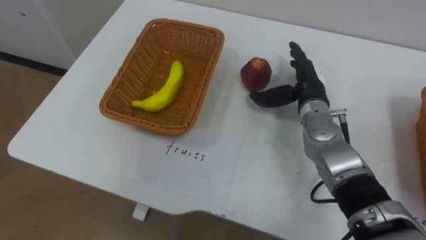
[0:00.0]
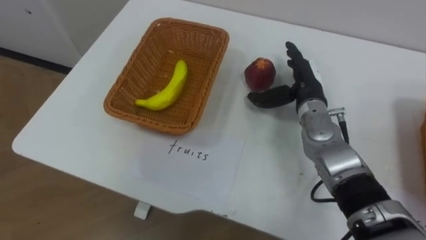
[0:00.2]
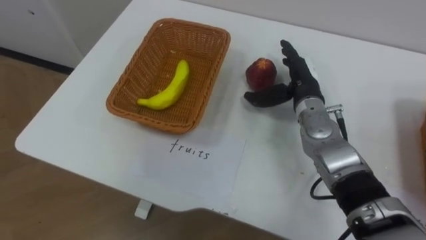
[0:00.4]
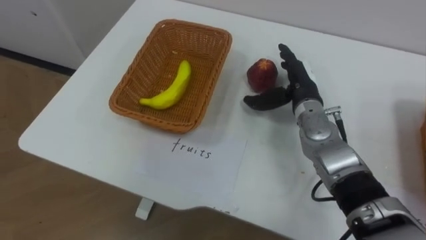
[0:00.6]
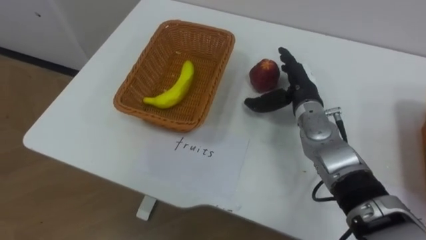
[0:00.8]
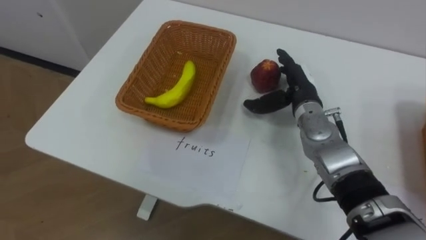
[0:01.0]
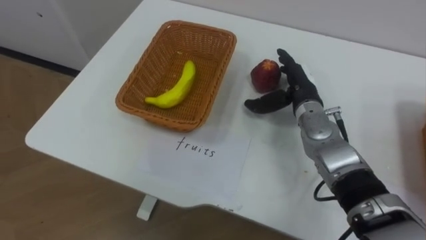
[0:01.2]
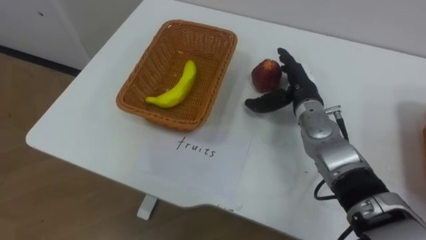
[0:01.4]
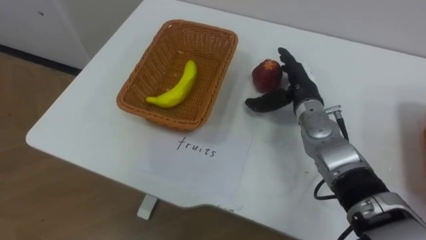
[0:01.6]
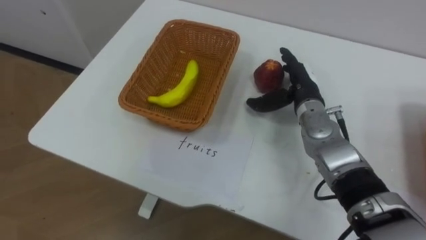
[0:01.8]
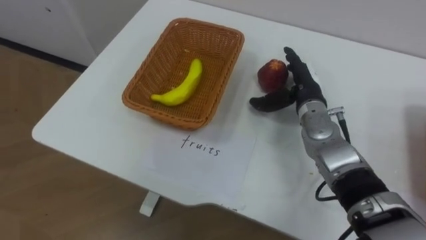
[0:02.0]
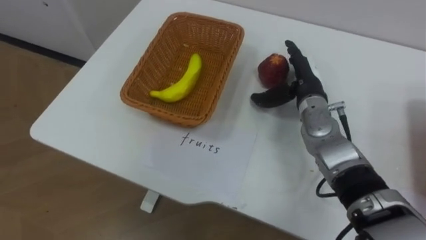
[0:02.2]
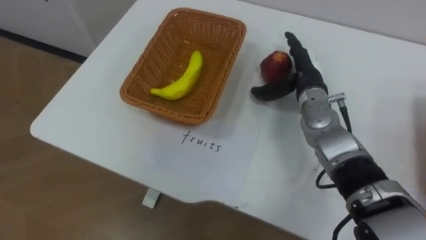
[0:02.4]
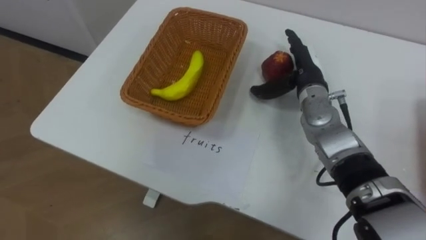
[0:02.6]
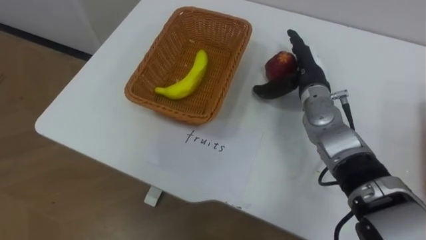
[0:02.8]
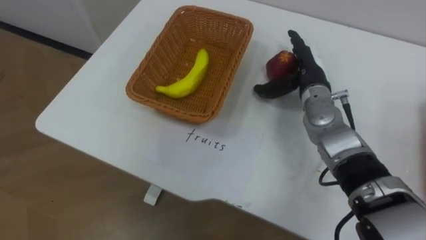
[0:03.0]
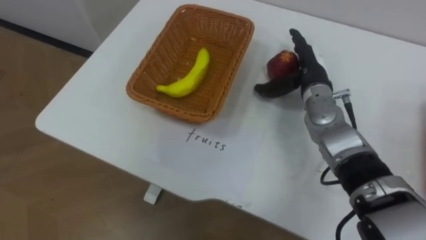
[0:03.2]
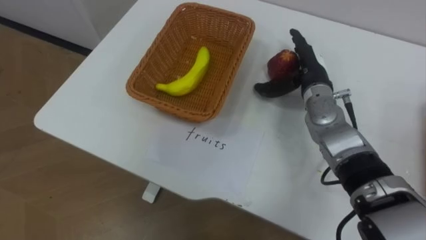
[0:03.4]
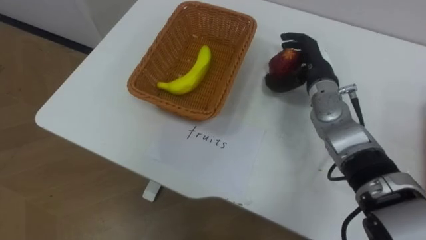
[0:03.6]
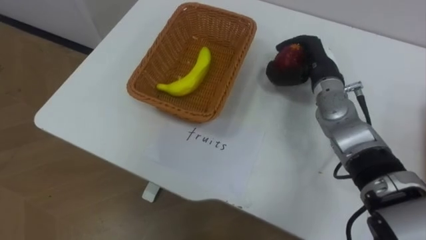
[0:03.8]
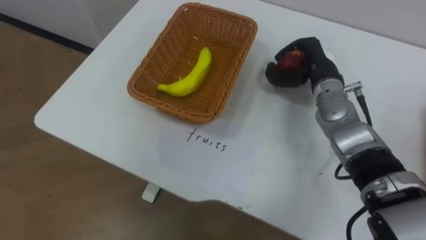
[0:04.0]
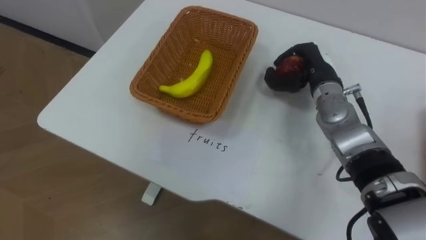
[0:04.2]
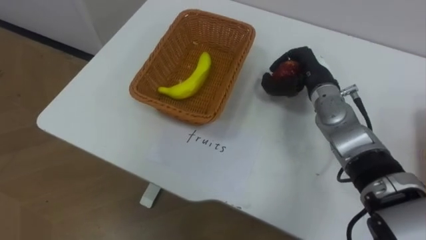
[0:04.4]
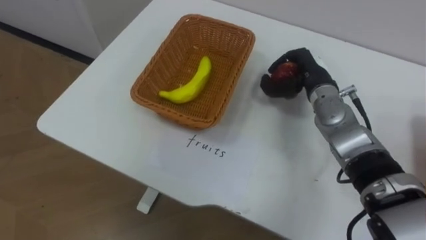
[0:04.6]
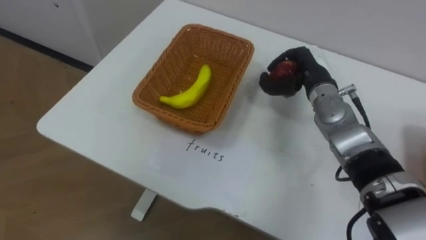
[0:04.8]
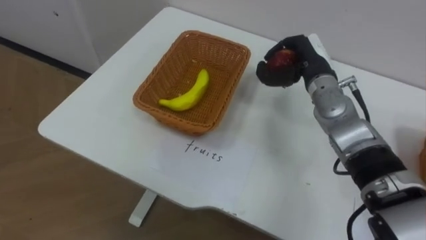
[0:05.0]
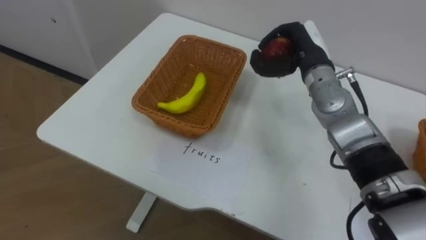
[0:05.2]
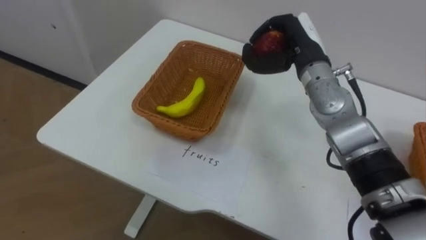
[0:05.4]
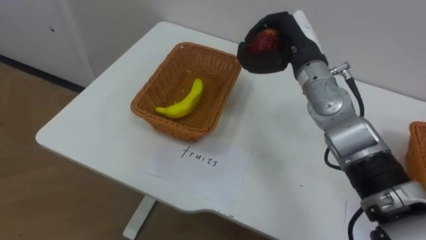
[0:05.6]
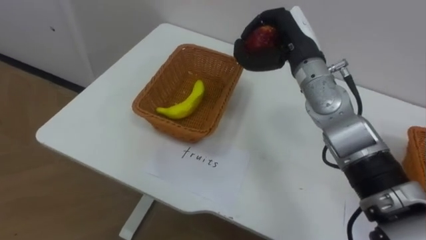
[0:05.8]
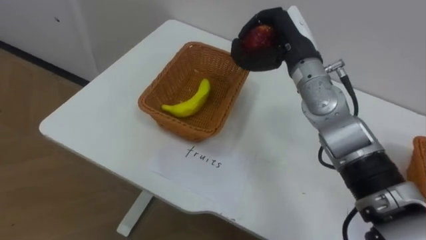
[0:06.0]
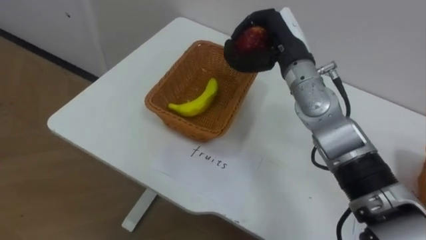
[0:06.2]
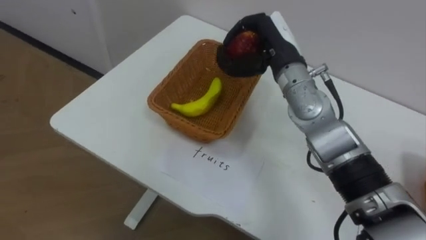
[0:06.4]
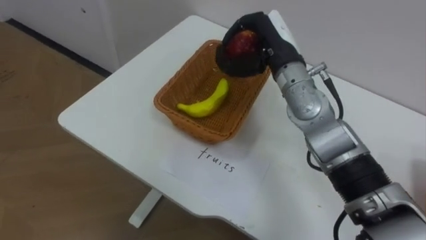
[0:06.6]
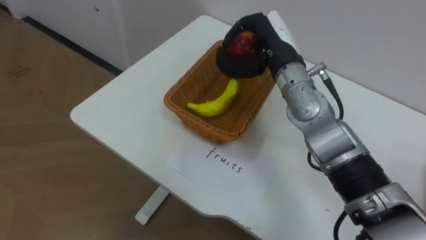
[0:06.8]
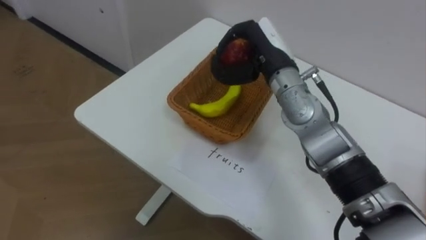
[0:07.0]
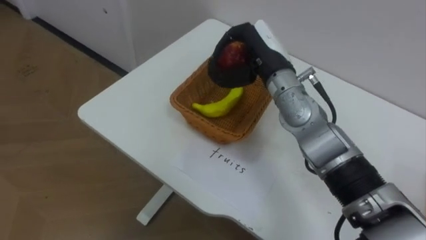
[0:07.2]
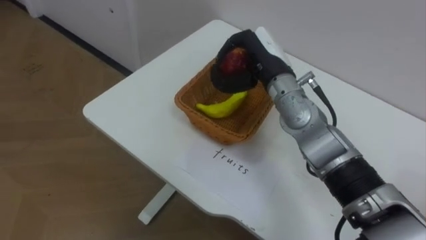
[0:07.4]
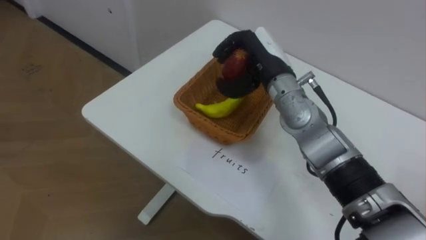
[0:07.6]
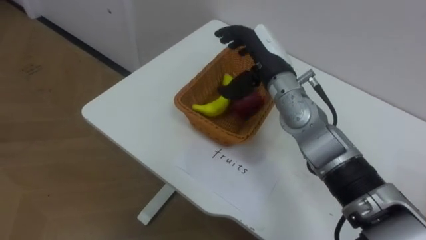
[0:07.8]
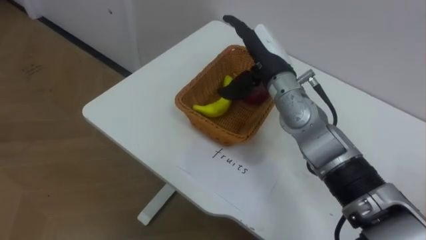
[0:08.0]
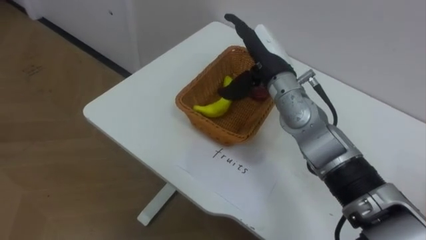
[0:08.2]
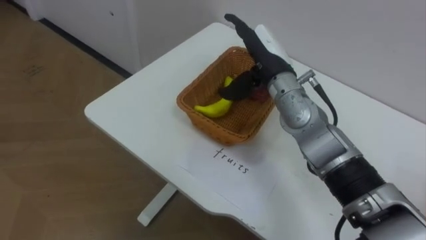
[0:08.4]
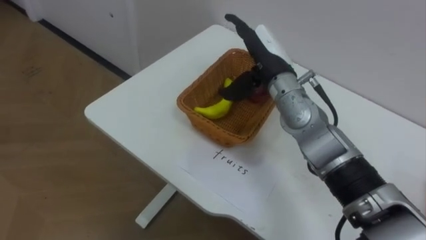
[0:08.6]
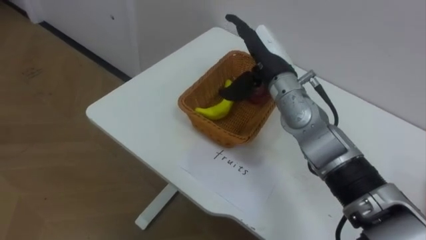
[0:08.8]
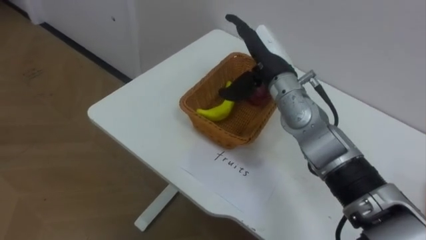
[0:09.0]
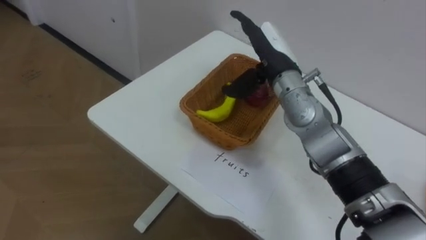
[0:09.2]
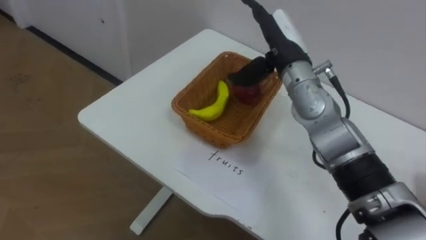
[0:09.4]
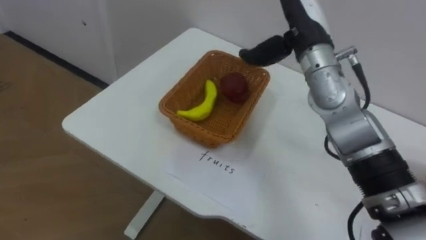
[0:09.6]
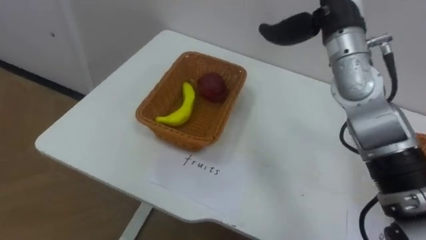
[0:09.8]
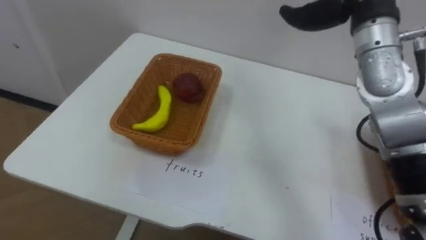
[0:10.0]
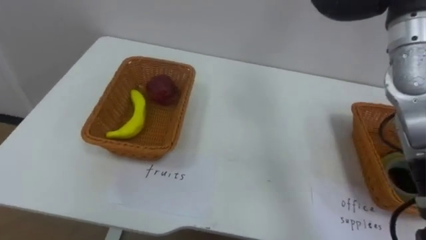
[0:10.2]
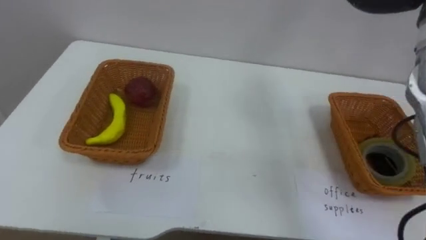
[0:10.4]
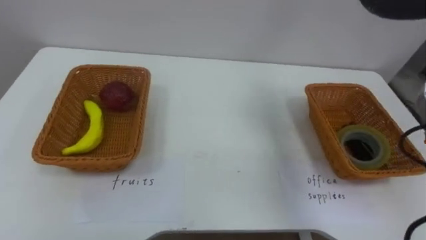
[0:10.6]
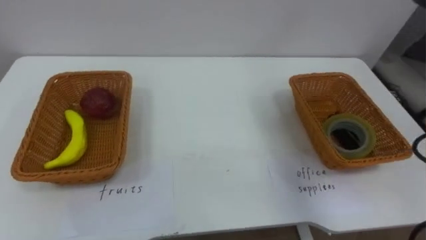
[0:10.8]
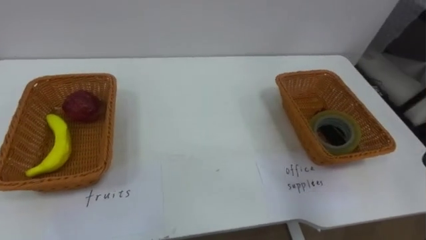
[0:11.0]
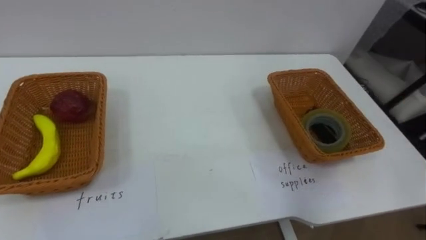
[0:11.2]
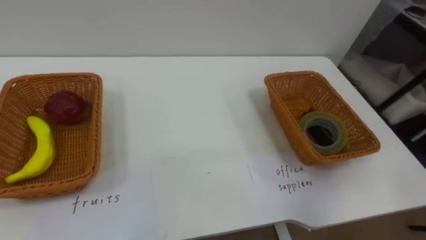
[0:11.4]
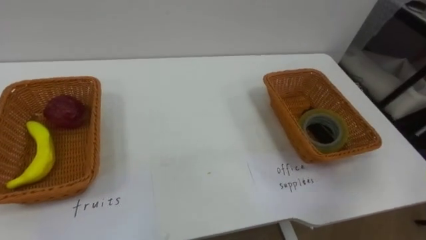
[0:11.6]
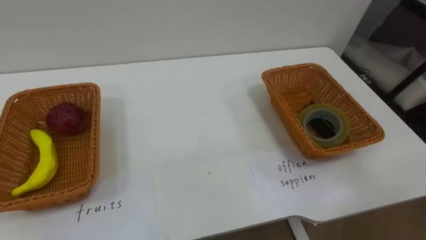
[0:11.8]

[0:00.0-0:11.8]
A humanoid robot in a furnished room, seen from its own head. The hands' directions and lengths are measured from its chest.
Task of the whole recording: Separate the items on the table and place them into the two baskets.
0:03.0 to 0:04.4: The right hand closes.
0:04.4 to 0:06.0: The right hand moves upward and to the left, approximately 10 cm.
0:06.0 to 0:07.4: The right hand changes place by about 5 cm.
0:07.4 to 0:08.8: The right hand opens up.

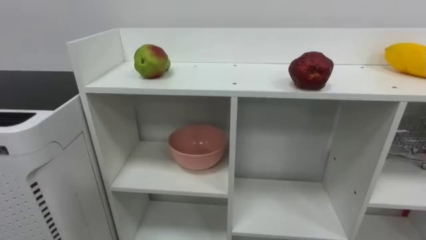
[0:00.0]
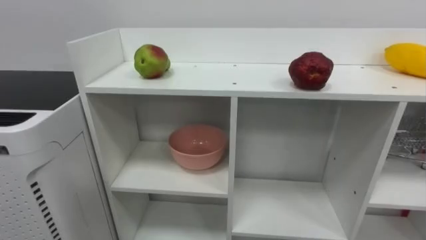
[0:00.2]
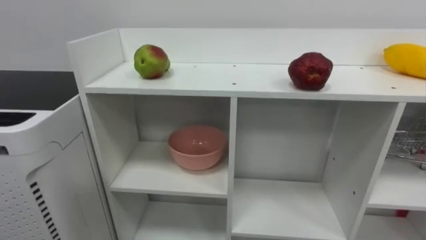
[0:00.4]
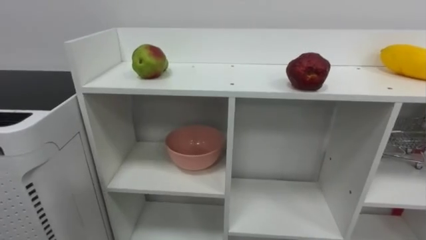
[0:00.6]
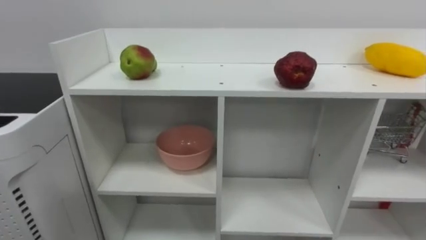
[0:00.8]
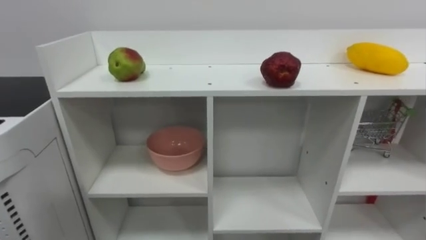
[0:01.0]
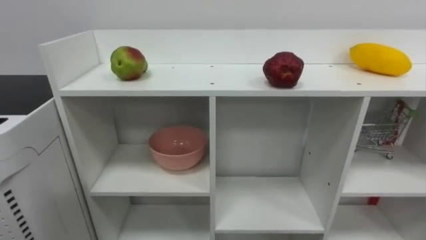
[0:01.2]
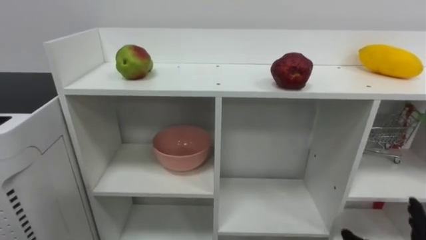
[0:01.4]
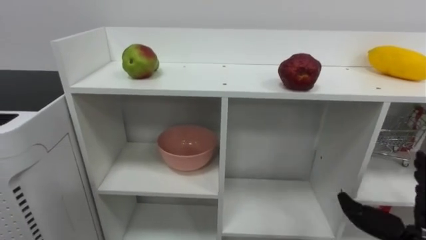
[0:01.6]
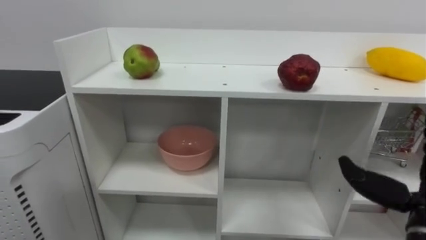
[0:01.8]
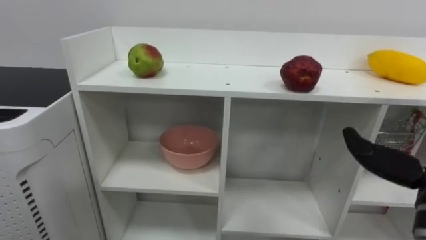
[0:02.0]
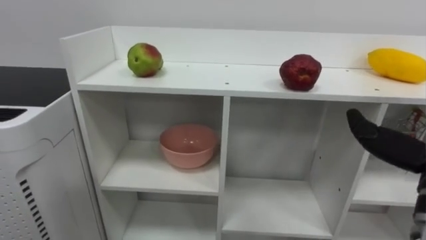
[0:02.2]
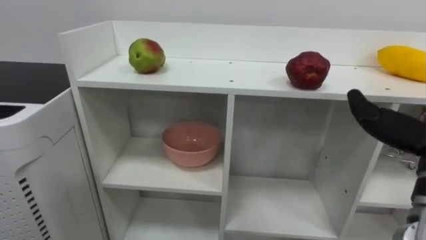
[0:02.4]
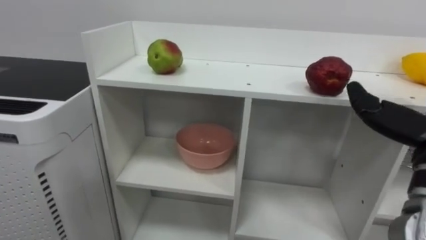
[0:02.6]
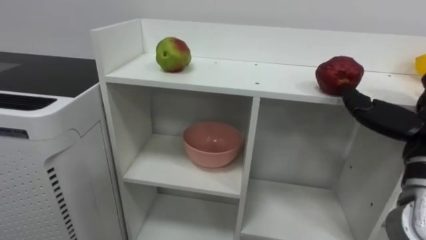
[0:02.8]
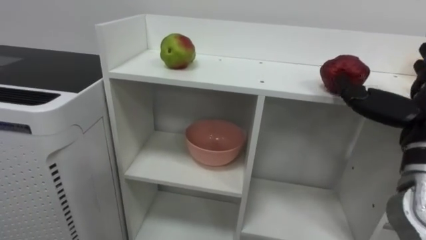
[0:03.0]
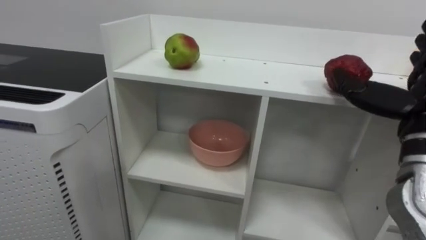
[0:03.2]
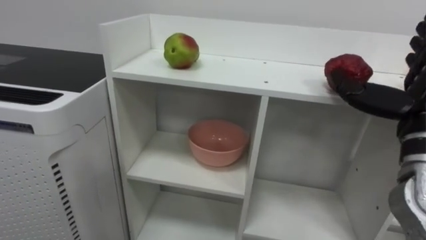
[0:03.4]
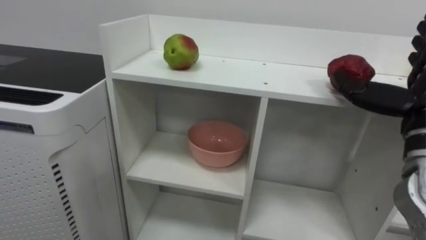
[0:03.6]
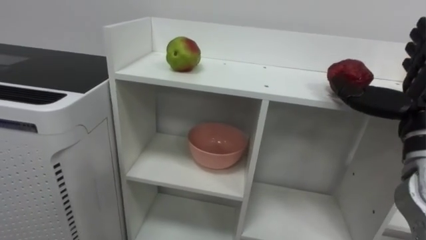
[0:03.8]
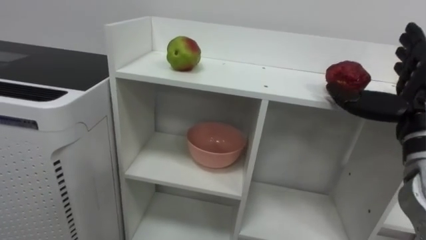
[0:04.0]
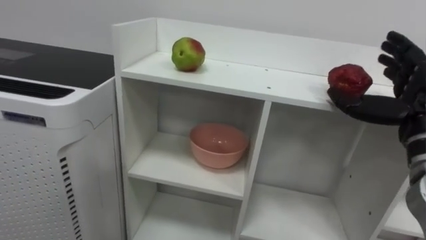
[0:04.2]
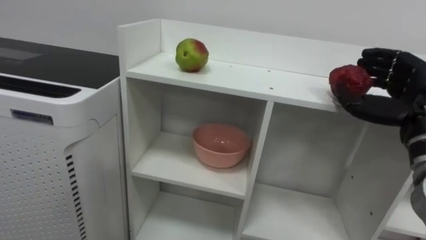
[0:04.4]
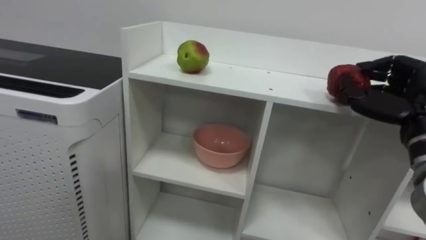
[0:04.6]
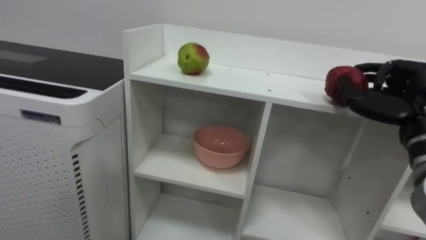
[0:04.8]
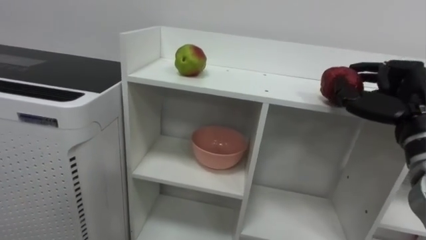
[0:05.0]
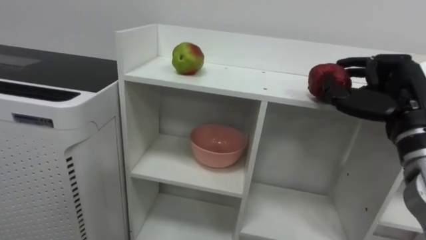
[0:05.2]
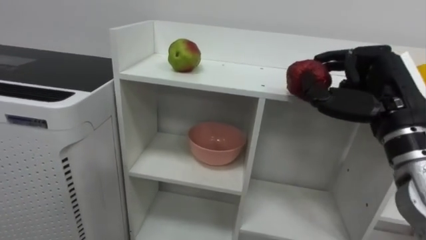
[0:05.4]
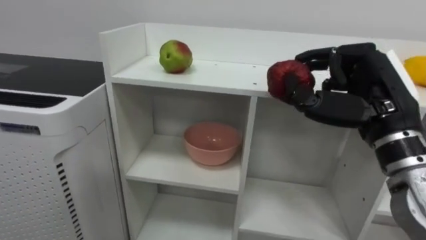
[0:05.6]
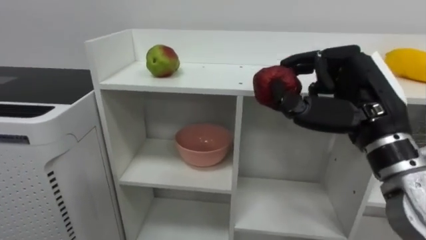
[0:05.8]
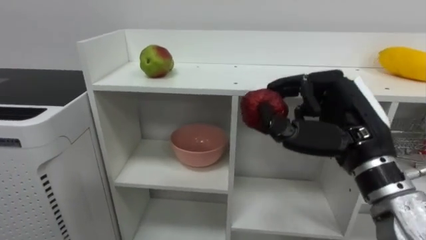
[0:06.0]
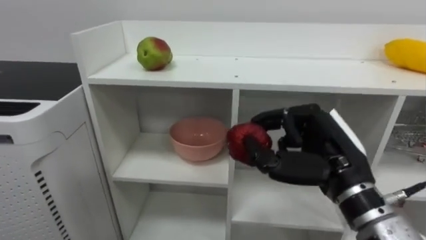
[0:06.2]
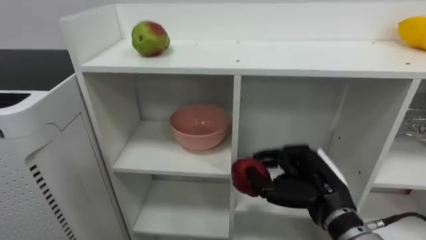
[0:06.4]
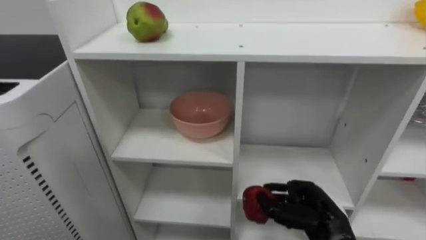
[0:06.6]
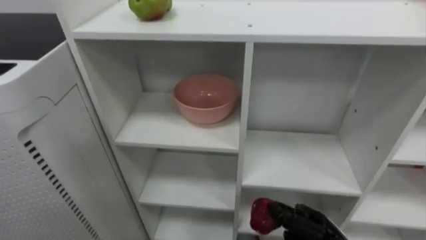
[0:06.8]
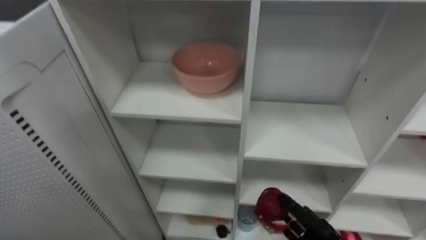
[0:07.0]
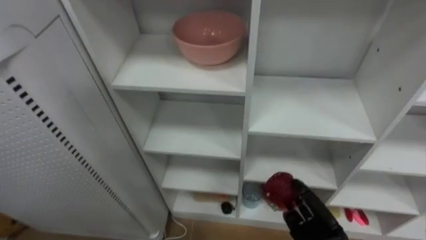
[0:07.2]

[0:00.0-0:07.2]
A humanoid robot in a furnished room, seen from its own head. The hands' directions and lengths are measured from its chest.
Task of the whole recording: Put the apple in the cell in the second column from the left and the second row from the top.
0:04.4 to 0:05.8: The right hand moves to the left, about 10 cm.
